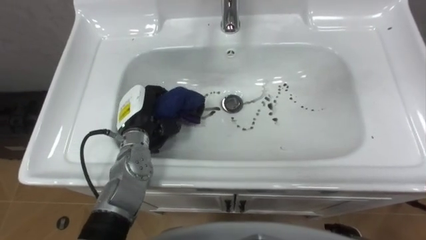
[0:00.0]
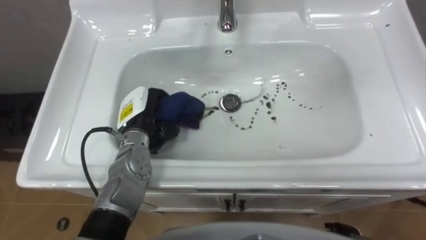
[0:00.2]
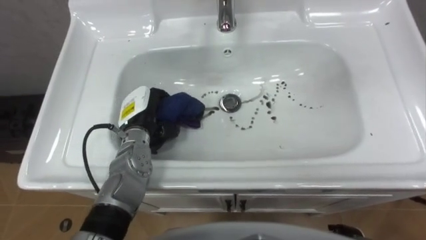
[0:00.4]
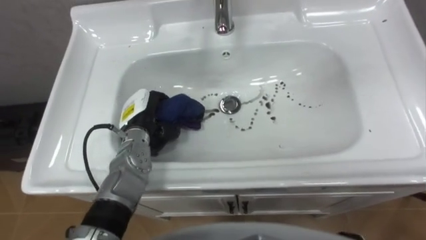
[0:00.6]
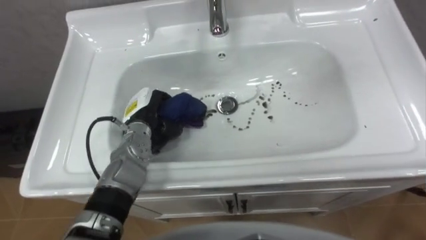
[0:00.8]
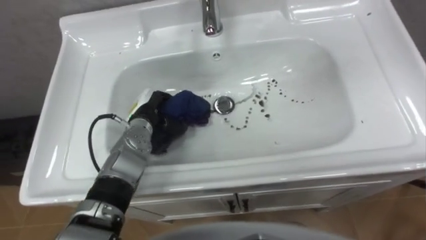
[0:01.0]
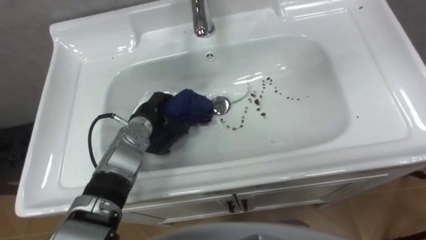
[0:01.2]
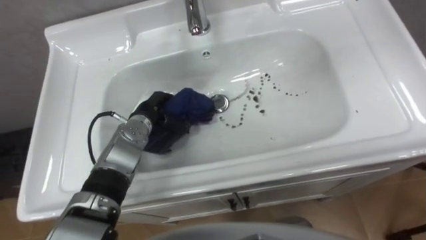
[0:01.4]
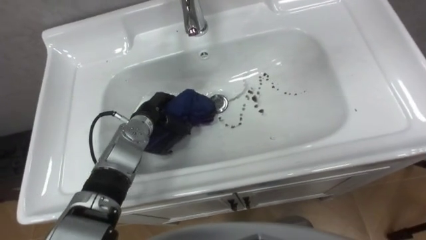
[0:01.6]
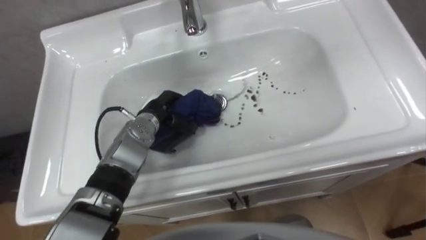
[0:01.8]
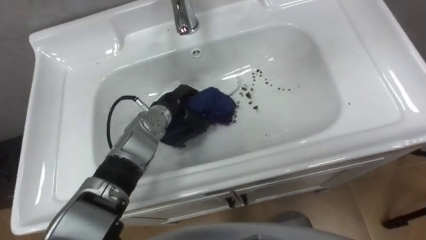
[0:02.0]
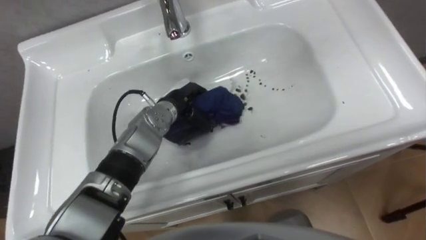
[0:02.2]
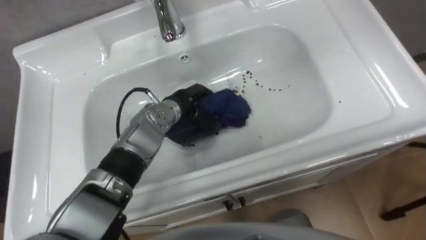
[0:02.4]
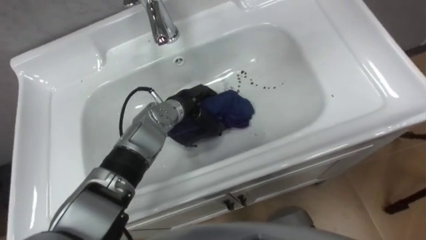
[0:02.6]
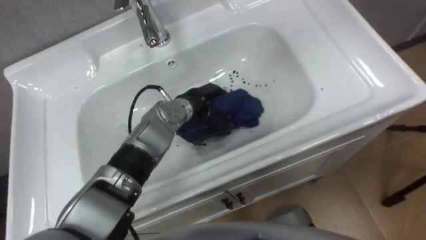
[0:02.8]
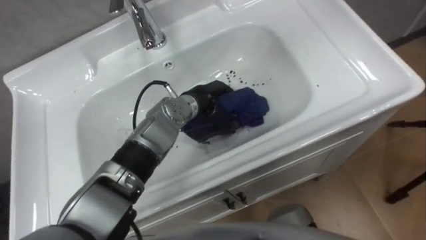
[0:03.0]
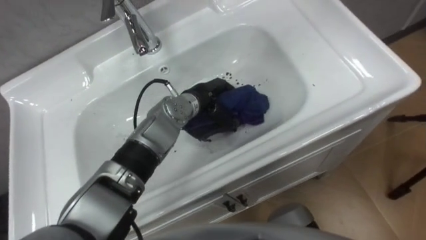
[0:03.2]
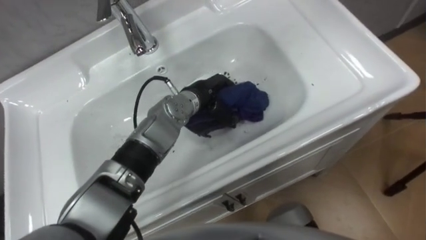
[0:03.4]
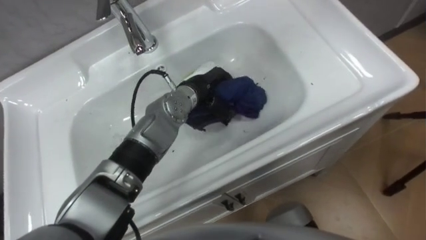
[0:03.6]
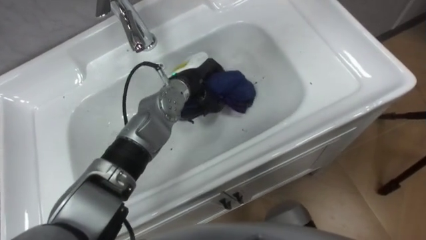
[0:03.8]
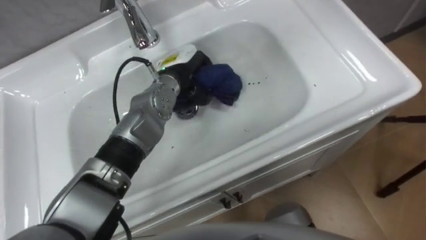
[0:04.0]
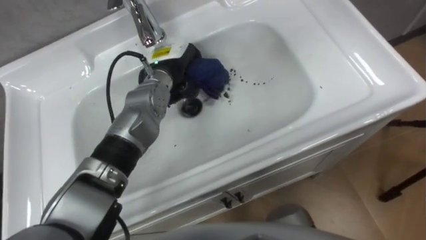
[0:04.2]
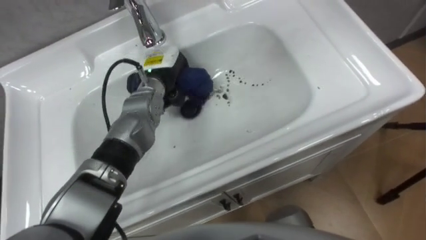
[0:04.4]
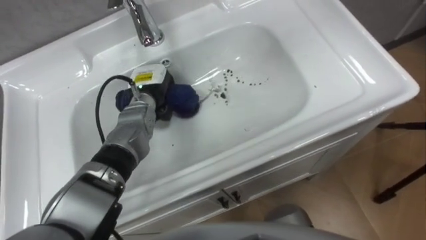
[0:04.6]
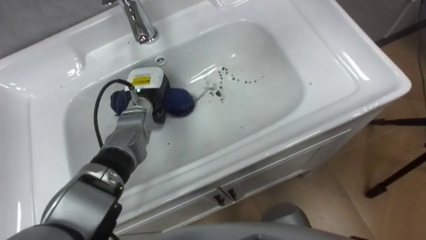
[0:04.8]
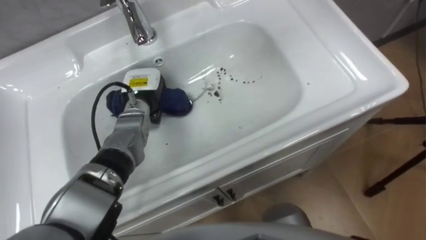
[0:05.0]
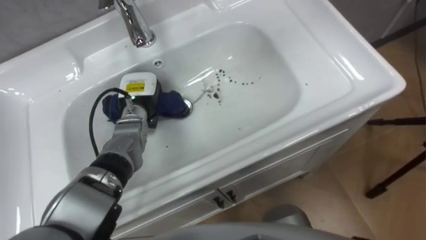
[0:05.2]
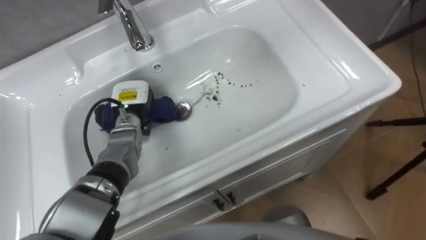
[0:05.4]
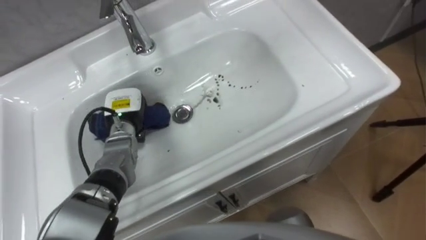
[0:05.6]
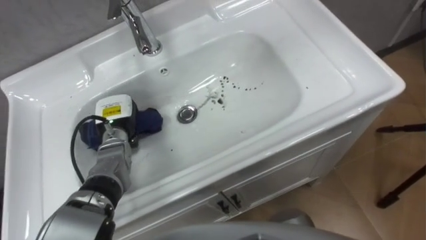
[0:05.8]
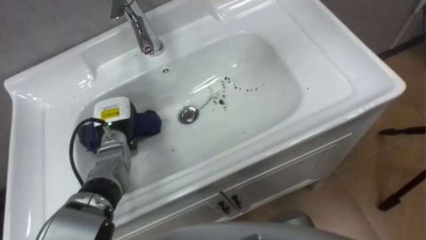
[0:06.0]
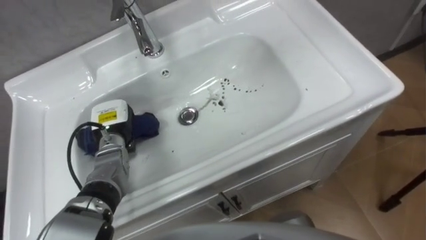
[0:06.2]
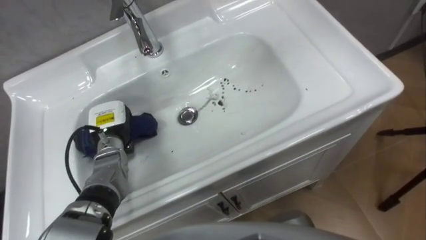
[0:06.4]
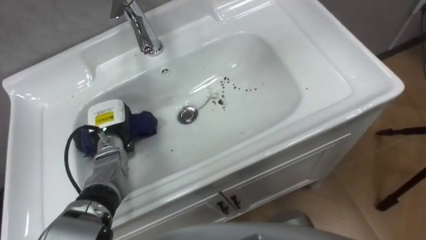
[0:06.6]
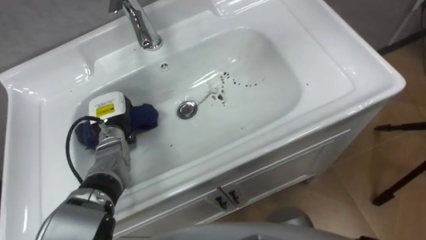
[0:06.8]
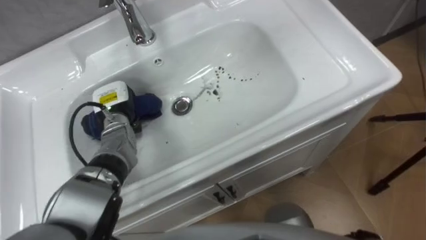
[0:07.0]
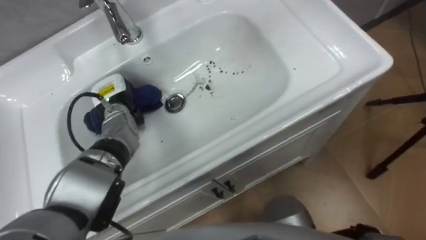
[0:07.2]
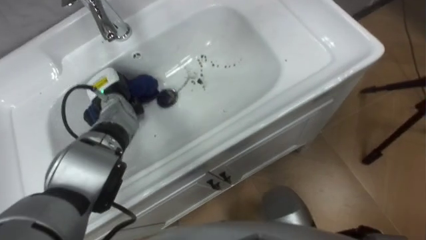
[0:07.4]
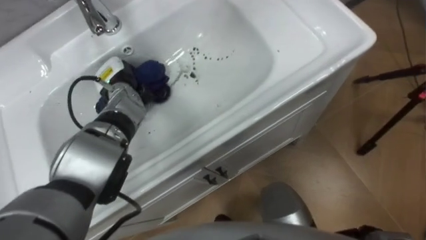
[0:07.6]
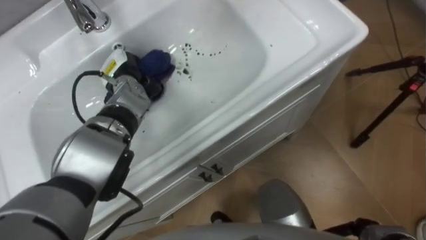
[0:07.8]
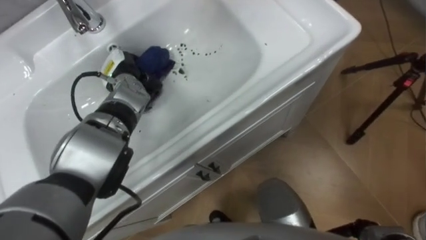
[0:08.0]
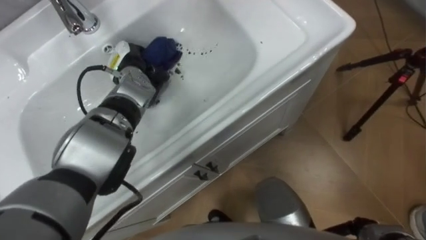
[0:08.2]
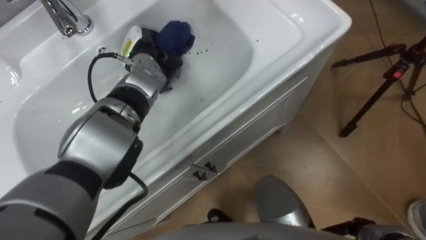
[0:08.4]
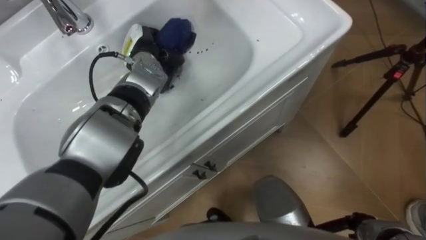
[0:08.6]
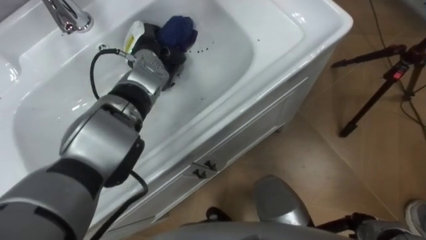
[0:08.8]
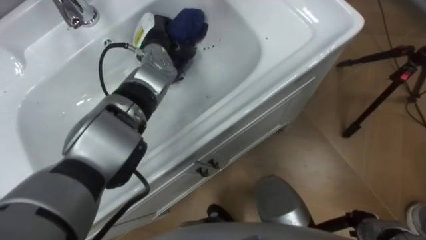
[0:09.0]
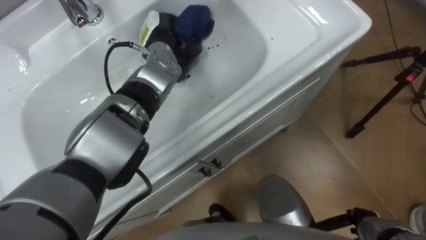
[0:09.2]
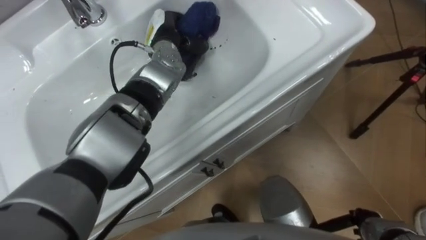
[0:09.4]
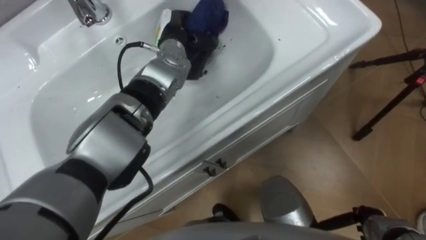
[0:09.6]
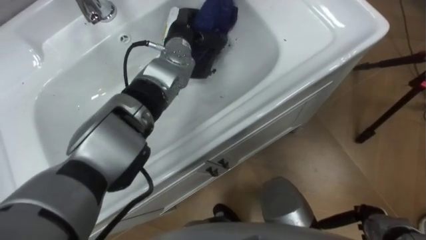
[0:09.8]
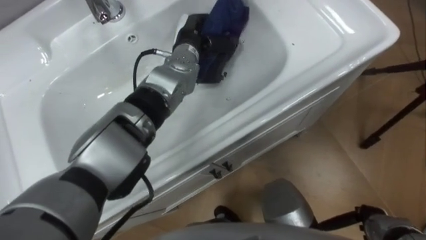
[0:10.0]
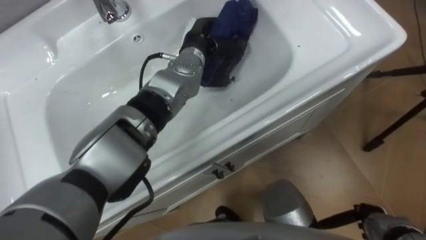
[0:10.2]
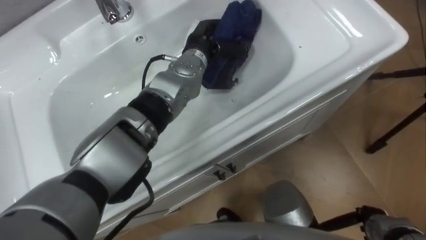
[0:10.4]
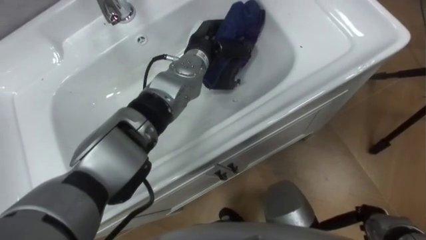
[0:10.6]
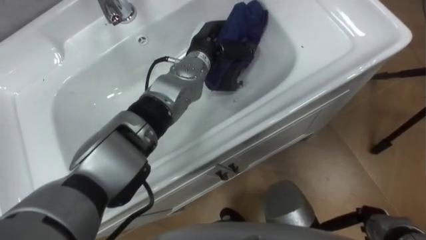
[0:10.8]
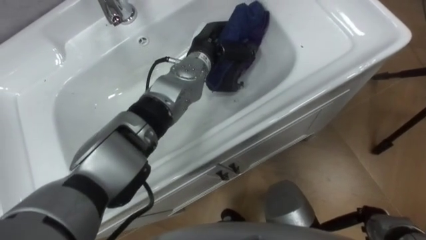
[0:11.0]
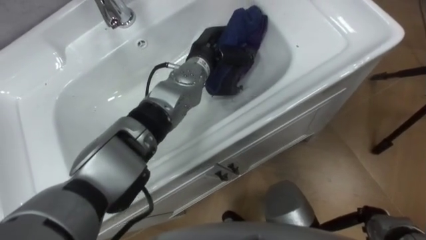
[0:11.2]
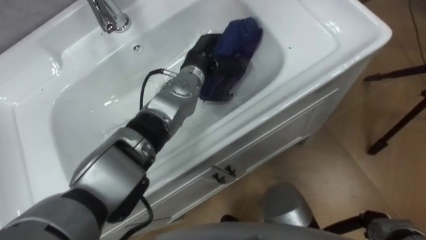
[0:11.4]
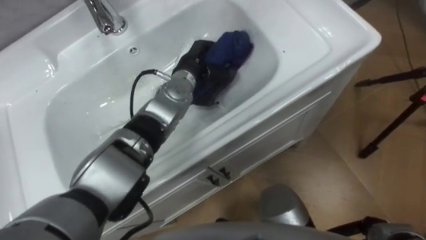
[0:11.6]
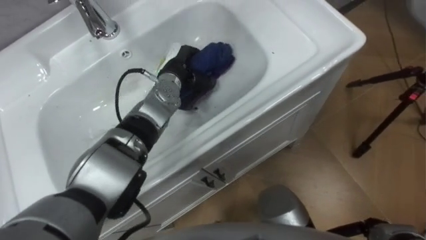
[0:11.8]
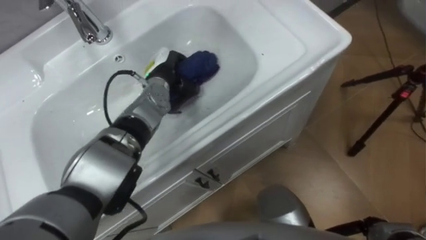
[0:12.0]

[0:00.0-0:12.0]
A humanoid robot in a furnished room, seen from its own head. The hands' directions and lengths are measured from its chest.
Task of the whole recording: Use the cloth on the right to wipe away the black stain in the sink.
0:00.0 to 0:01.6: The left hand shifts by approximately 5 cm.
0:01.6 to 0:03.0: The left hand is displaced to the right by roughly 10 cm.
0:03.0 to 0:04.4: The left hand travels to the left by some 10 cm.
0:04.4 to 0:06.0: The left hand heads to the left, downward and backward, covering roughly 15 cm.
0:06.0 to 0:07.6: The left hand goes some 10 cm forward.
0:07.6 to 0:09.0: The left hand goes some 15 cm to the right, upward and forward.
0:09.0 to 0:10.4: The left hand heads to the right, covering roughly 10 cm.
0:10.4 to 0:12.0: The left hand travels to the left and downward by roughly 10 cm.

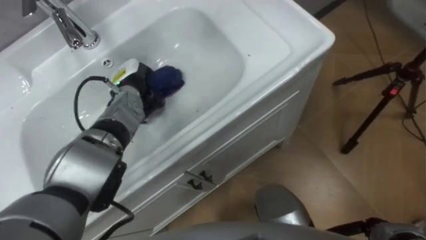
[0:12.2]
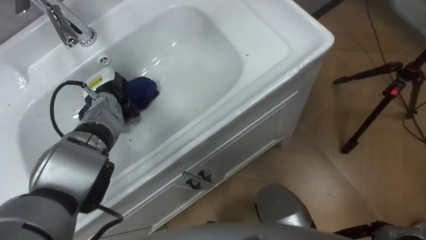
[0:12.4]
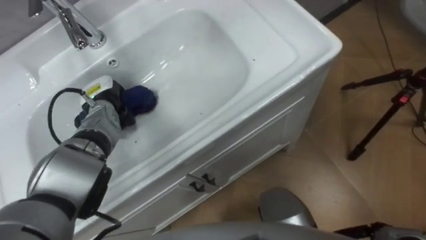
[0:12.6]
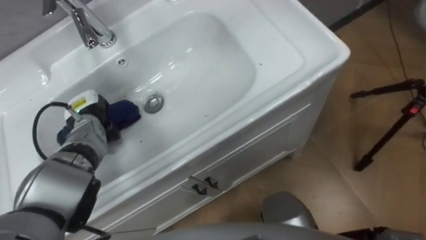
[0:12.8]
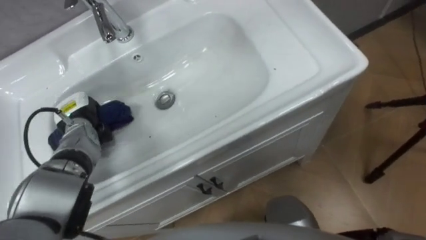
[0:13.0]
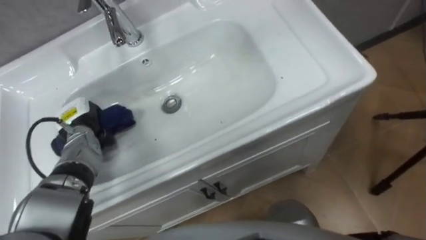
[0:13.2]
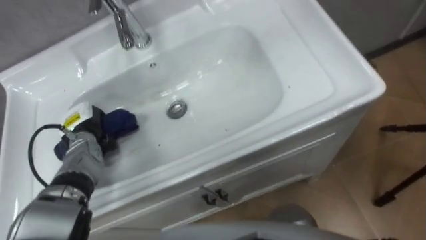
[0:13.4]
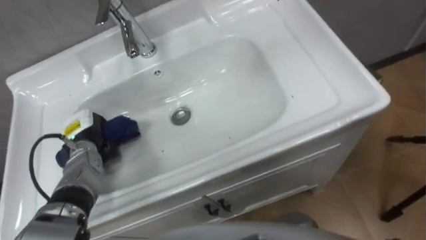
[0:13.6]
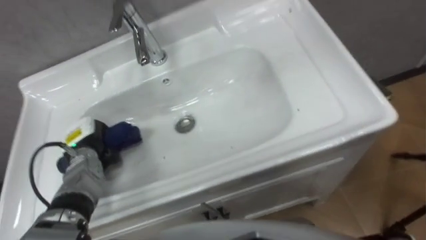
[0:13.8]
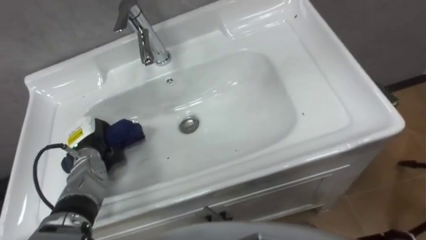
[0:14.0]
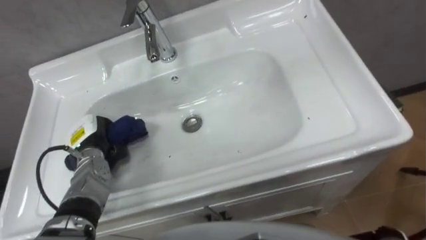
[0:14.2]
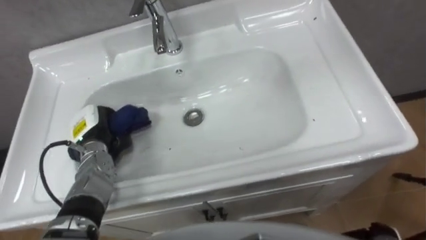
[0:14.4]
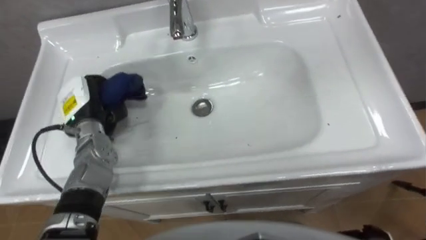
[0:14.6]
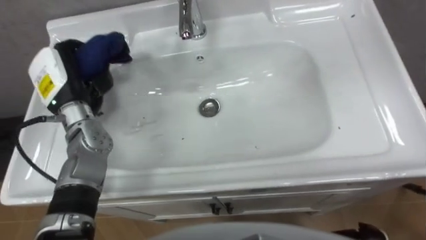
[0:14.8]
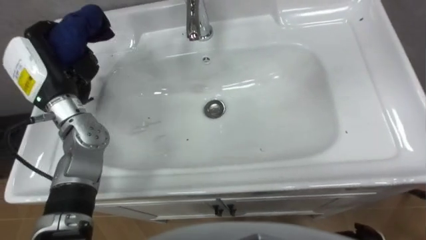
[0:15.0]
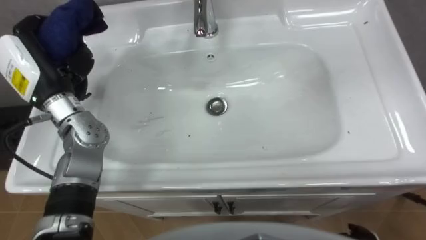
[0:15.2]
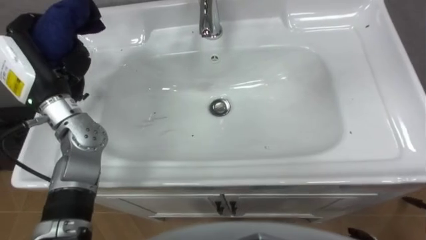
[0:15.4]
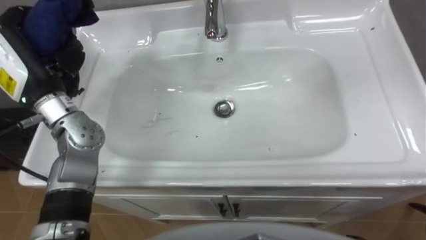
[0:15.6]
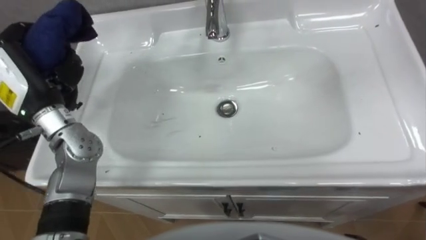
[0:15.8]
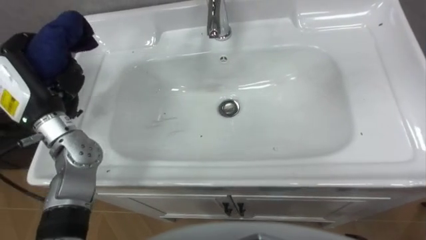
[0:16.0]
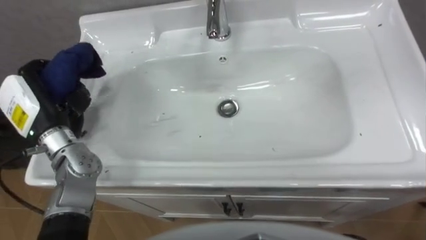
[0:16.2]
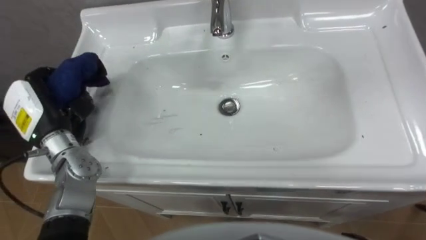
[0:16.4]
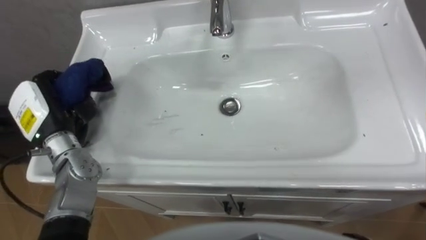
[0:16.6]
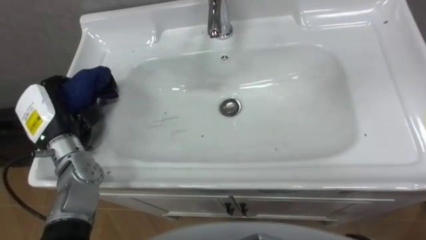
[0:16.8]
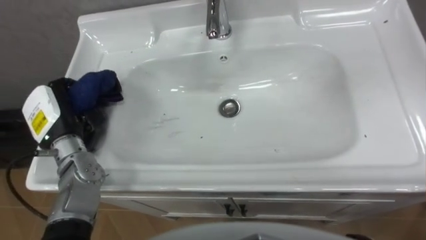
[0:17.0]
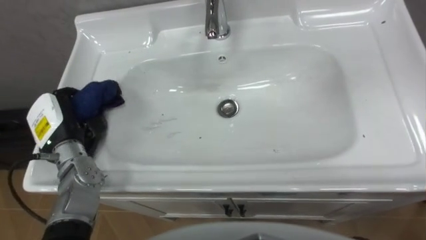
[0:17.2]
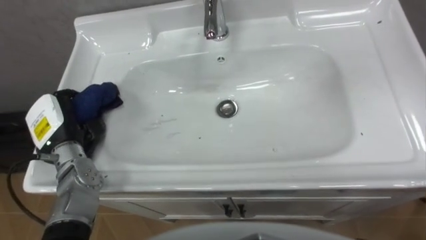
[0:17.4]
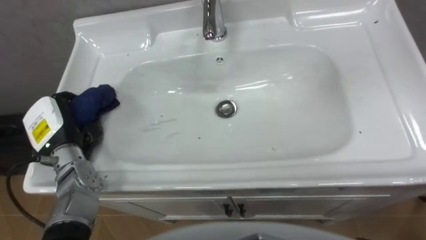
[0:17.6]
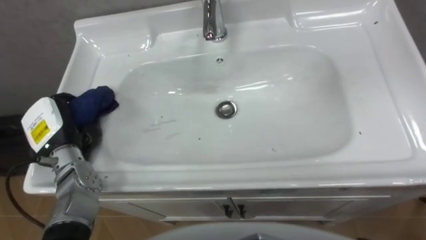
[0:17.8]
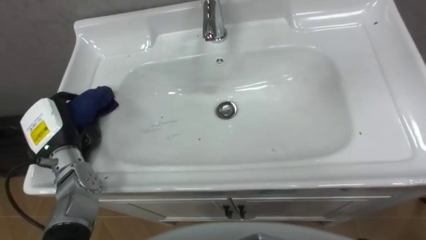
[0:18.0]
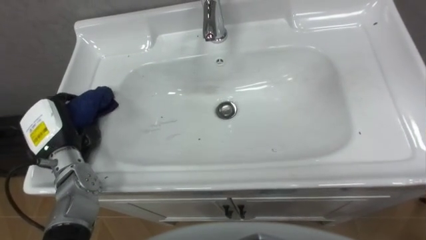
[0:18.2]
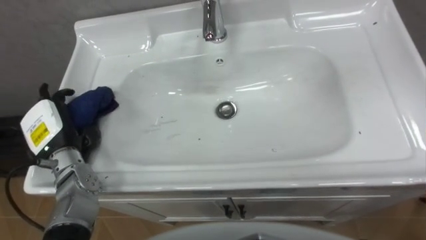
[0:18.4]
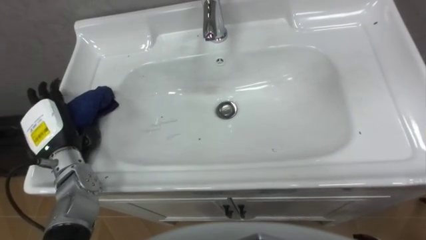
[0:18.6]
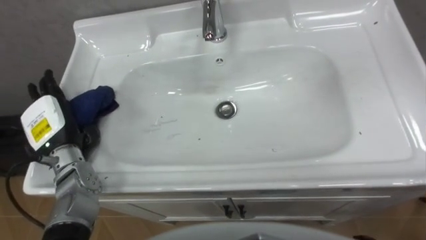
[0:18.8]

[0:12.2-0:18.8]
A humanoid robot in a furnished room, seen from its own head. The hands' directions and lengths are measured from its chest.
Task of the whole recording: Use the cloth on the right to wipe away the black stain in the sink.
0:12.2 to 0:13.8: The left hand heads backward, to the left and downward, covering roughly 15 cm.
0:13.8 to 0:15.4: The left hand goes approximately 20 cm upward.
0:15.4 to 0:17.2: The left hand goes some 10 cm downward.
0:17.2 to 0:18.8: The left hand opens its fingers.
